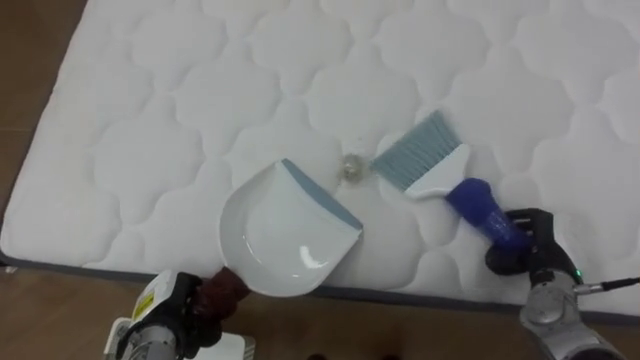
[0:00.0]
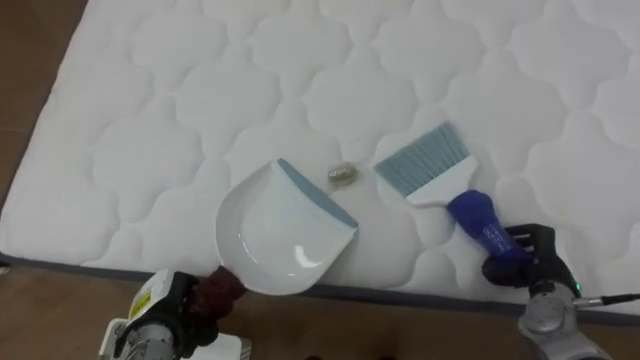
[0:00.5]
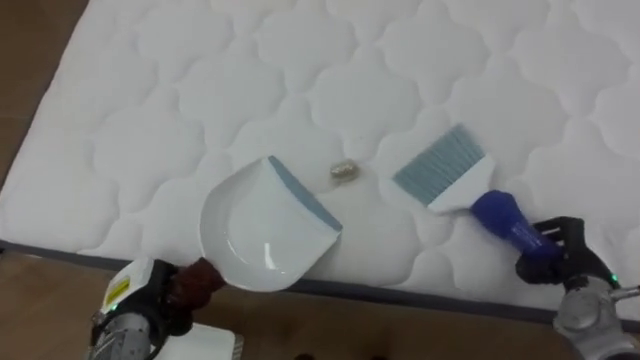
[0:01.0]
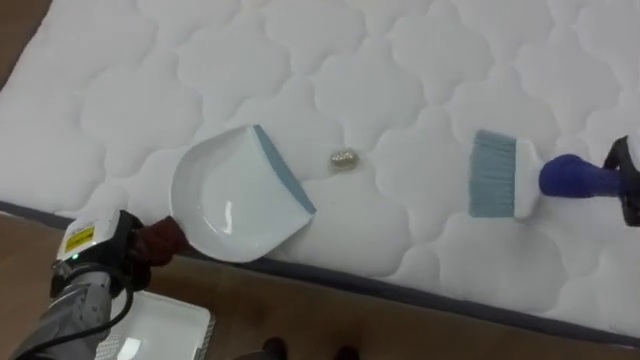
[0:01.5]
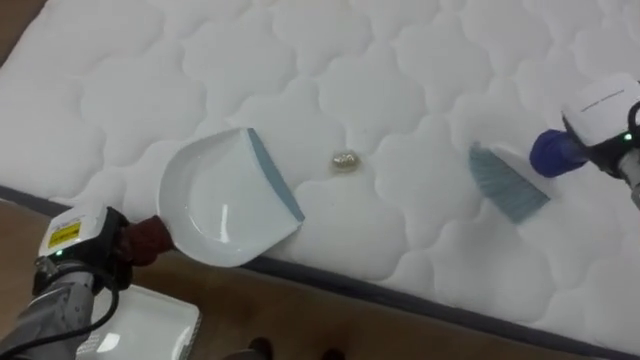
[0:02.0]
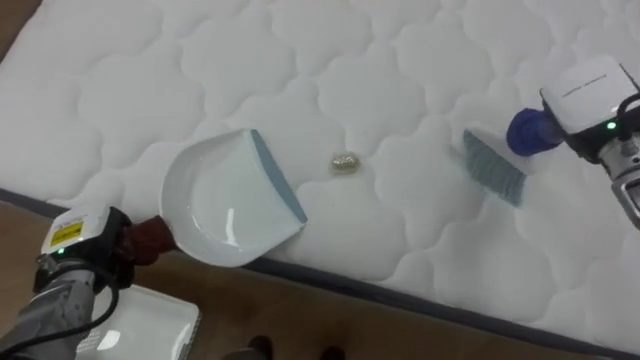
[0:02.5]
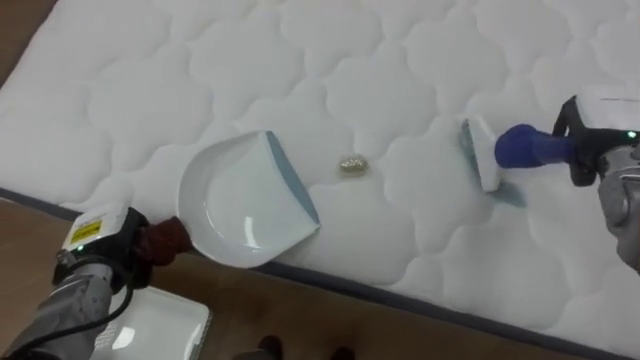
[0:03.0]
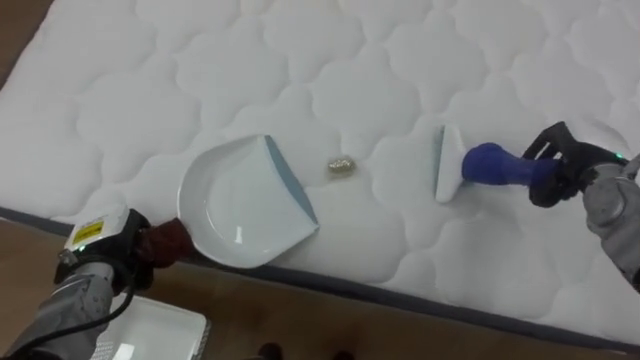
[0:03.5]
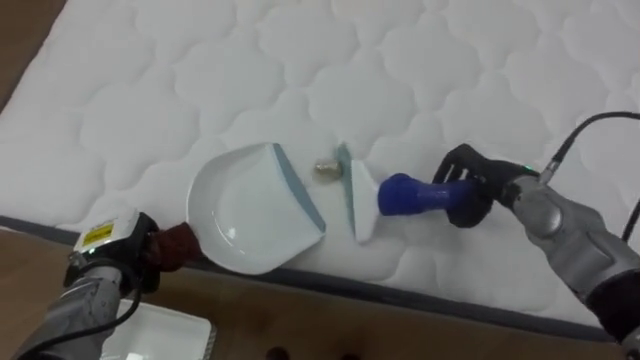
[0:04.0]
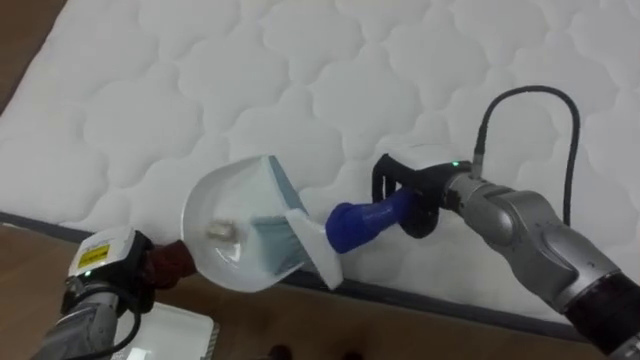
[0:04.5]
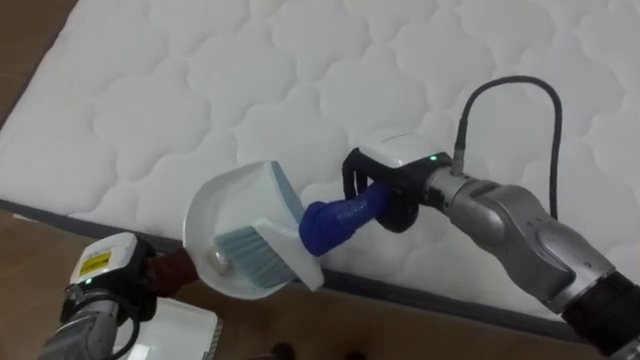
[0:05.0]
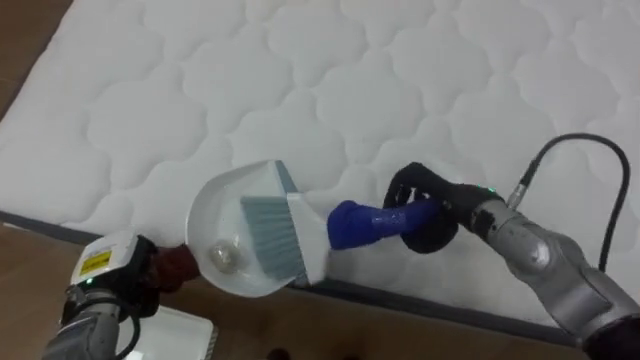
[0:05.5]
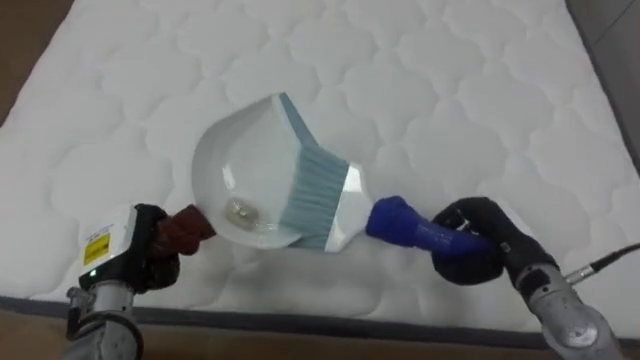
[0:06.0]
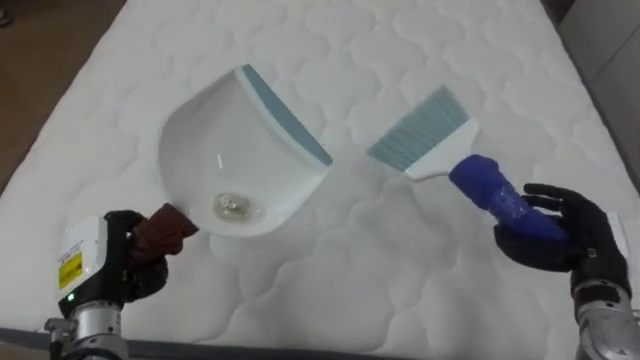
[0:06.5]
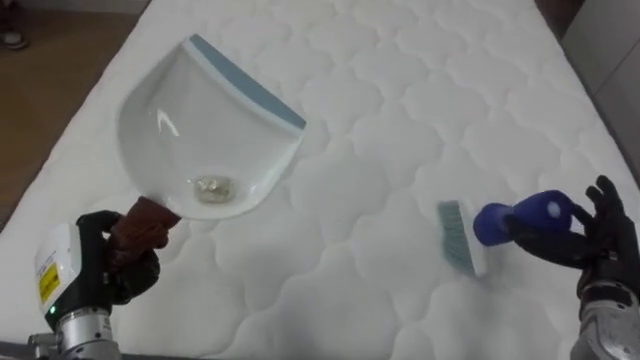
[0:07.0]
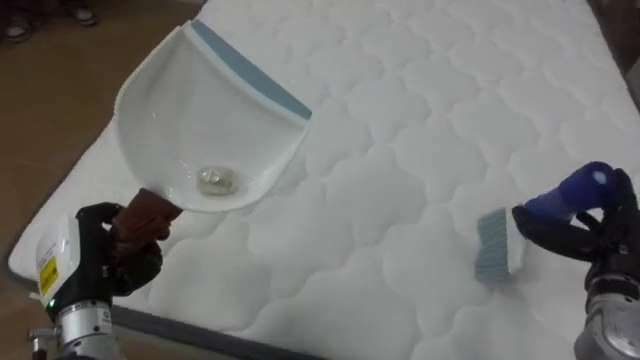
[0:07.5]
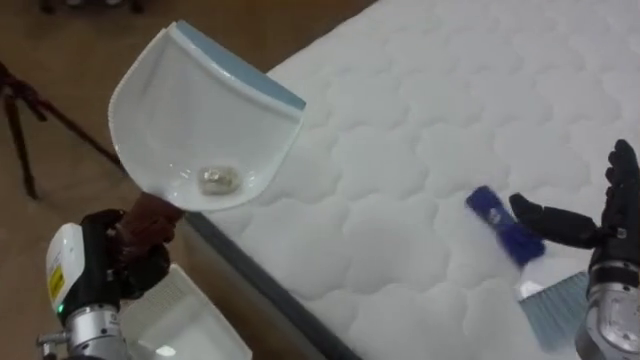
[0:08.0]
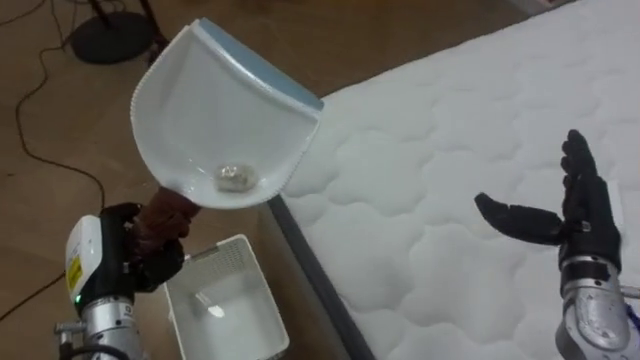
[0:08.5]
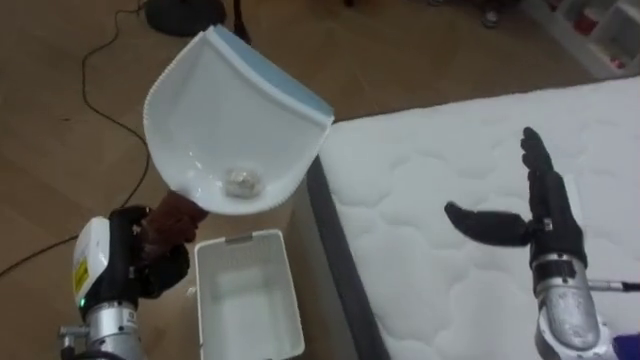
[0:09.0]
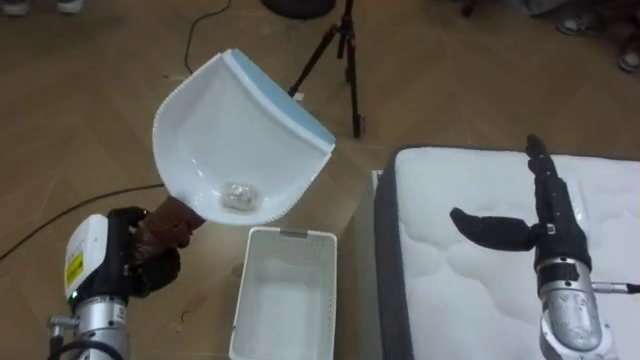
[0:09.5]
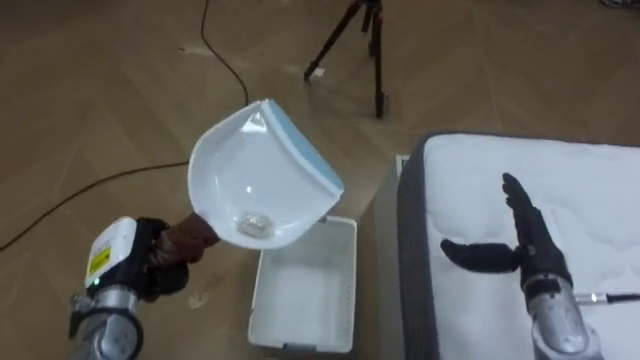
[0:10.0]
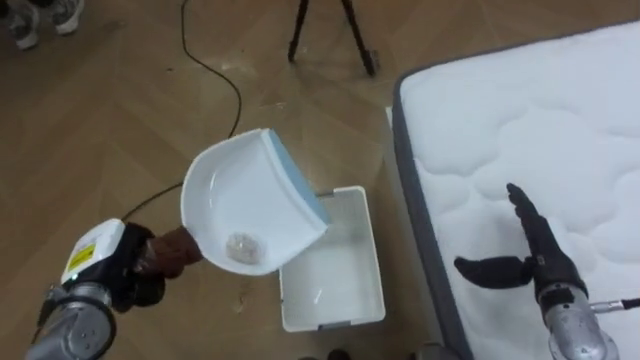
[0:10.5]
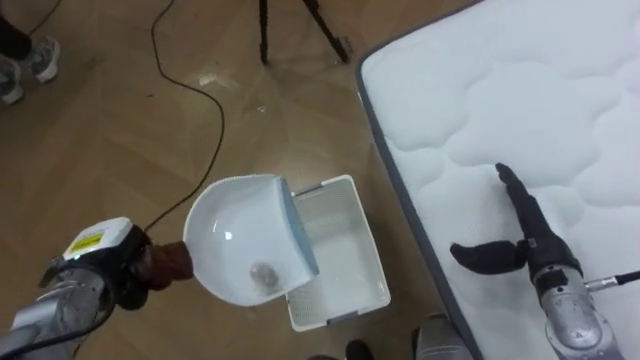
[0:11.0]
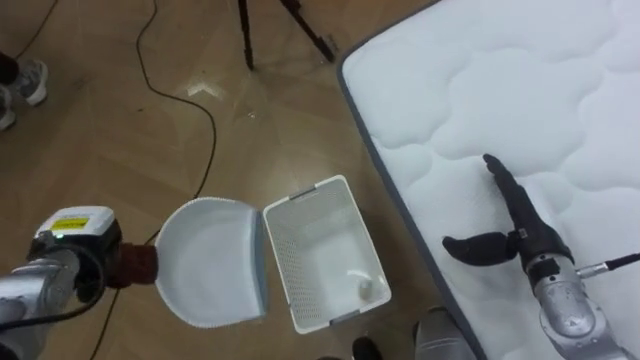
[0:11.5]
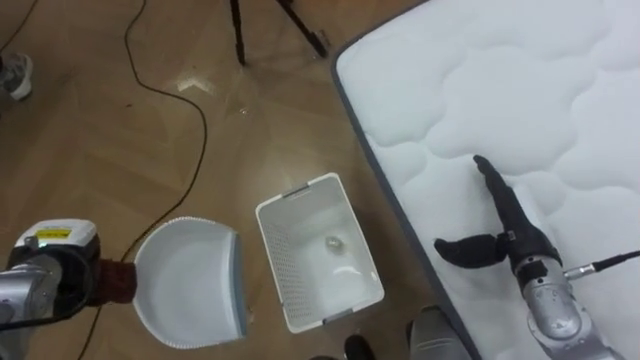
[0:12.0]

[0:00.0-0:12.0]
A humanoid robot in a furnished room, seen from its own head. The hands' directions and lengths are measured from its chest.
Task of the whole recording: Pick up the brush on your right and the dustpan on your left. Use the brush to sweep the crumpled paper on the bed into the dustpan, then turn left and empty it into the basket.
0:00.0 to 0:02.0: The left hand moves to the left, upward and forward, approximately 15 cm.
0:02.0 to 0:04.0: The right hand moves to the left and downward, some 15 cm.
0:04.0 to 0:06.0: The right hand goes about 10 cm backward, and moves roughly 15 cm to the left and comes back.
0:06.0 to 0:08.0: The robot turns to its left by roughly 40 degrees. The right hand travels to the right by some 10 cm, and opens up, while the left hand changes place by about 5 cm.
0:08.0 to 0:10.0: The robot faces some 50 degrees further to its left. The left hand ends up approximately 5 cm from where it was. The right hand goes roughly 10 cm to the left and downward.
0:10.0 to 0:12.0: The left hand travels to the left by roughly 10 cm.

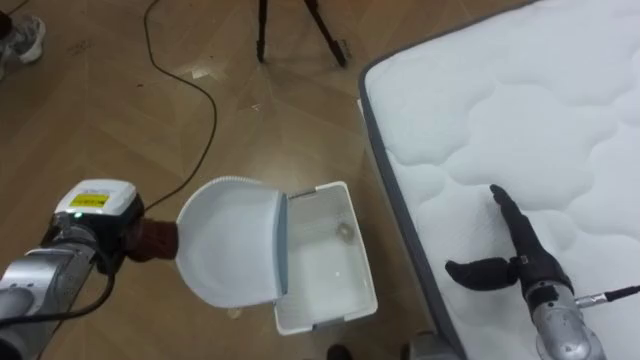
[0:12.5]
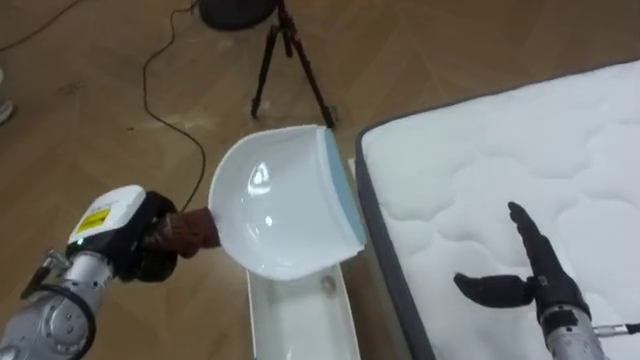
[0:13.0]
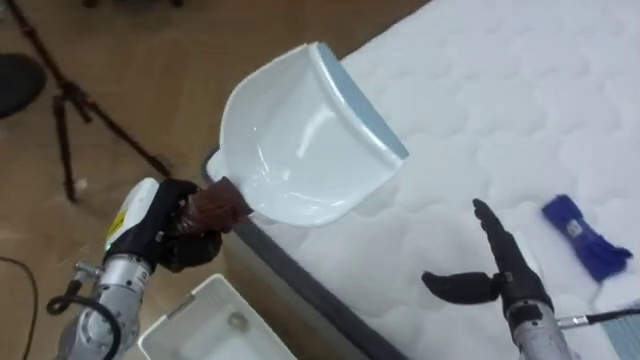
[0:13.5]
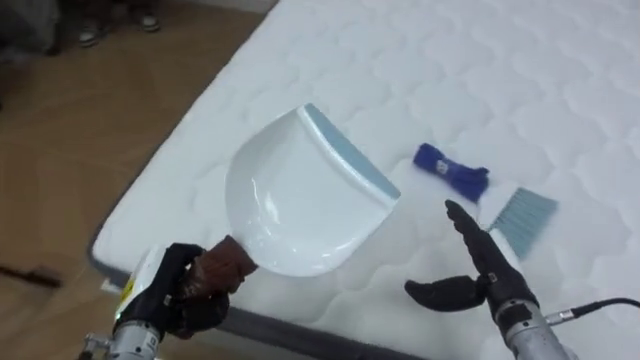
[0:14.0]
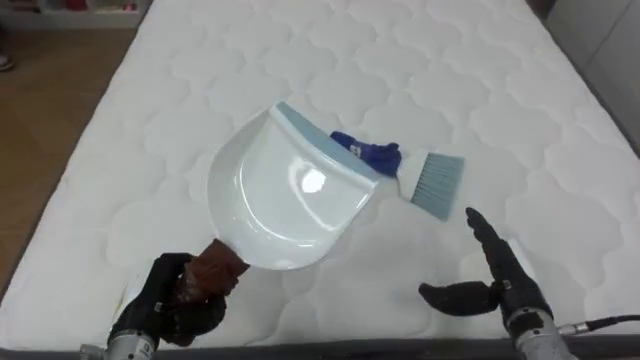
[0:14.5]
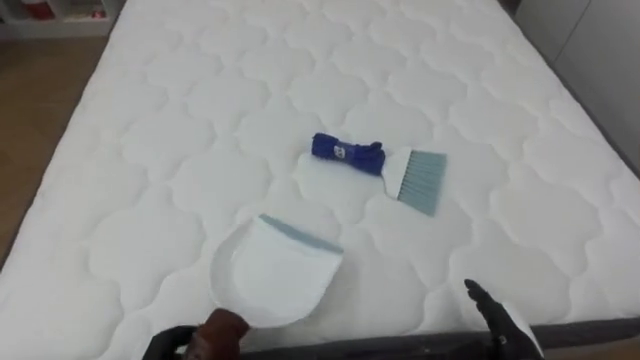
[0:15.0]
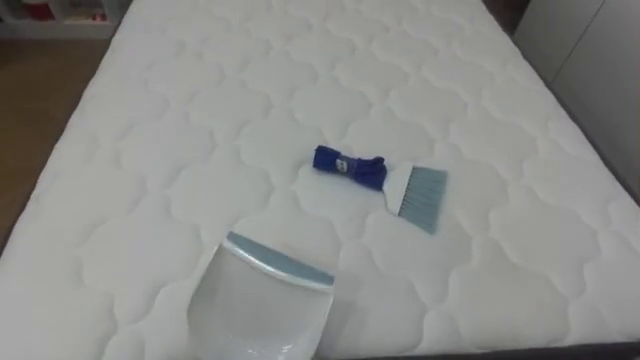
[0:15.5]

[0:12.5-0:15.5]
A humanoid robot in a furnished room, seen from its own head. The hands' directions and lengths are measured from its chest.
Task of the whole recording: Pick up the brush on your right and the dustpan on your left. Use the brush to sweep the crumpled paper on the bed into the dustpan, then turn left and empty it into the basket.
0:12.5 to 0:14.0: The robot faces roughly 75 degrees further to its right. The left hand goes approximately 10 cm backward and to the right, while the right hand ends up roughly 5 cm from where it was.
0:14.0 to 0:15.5: The robot rotates some 20 degrees to its right.

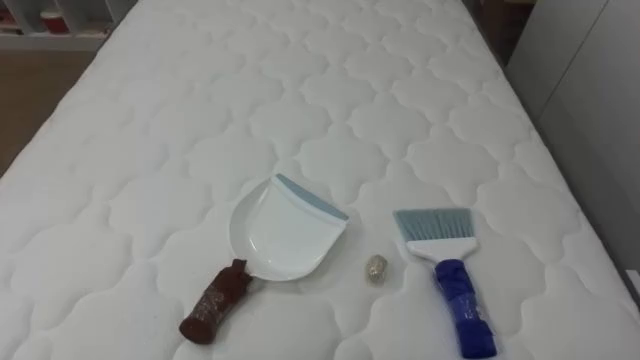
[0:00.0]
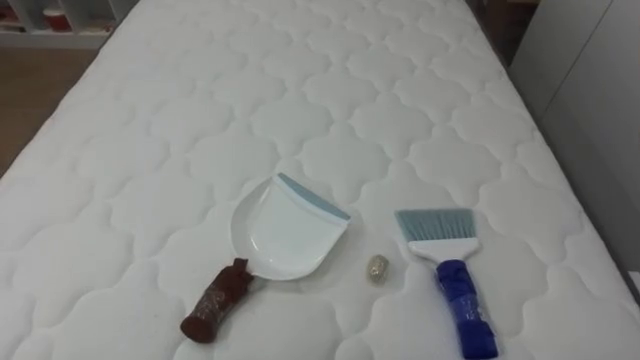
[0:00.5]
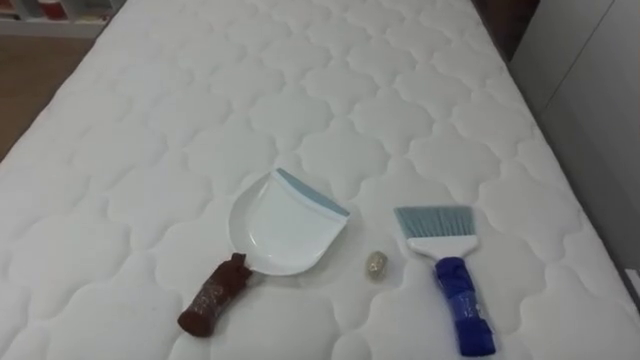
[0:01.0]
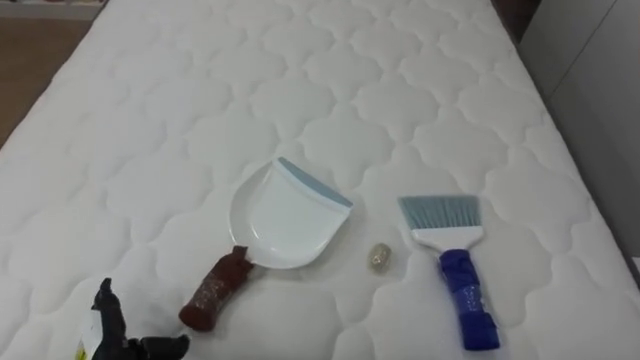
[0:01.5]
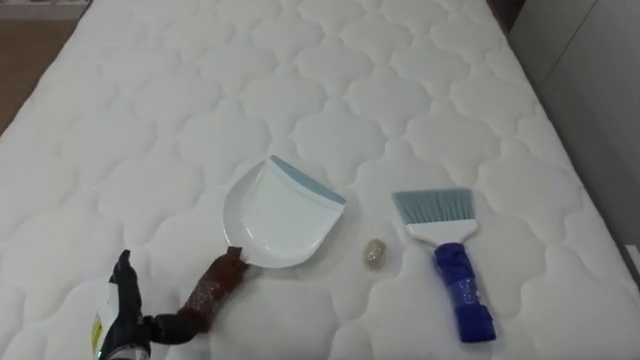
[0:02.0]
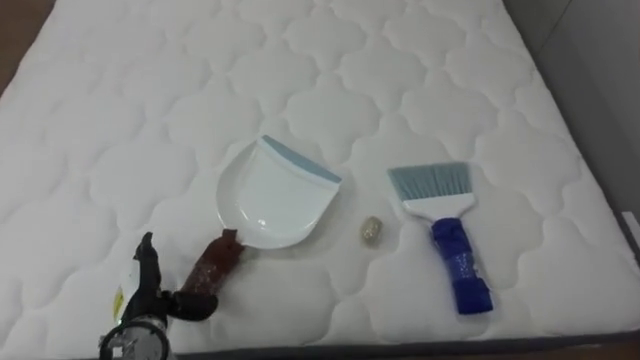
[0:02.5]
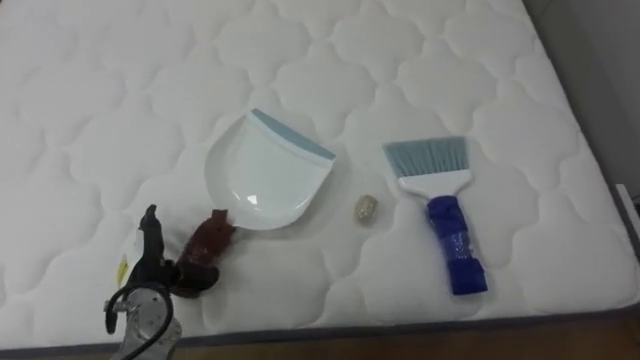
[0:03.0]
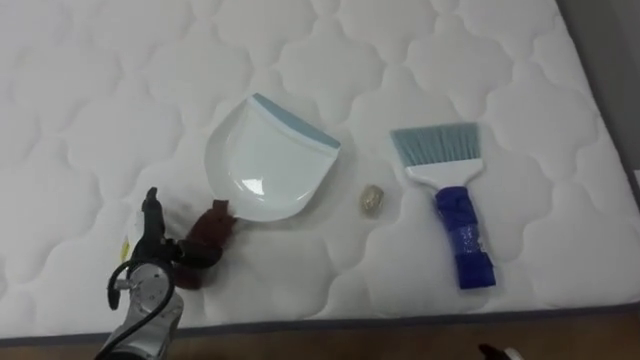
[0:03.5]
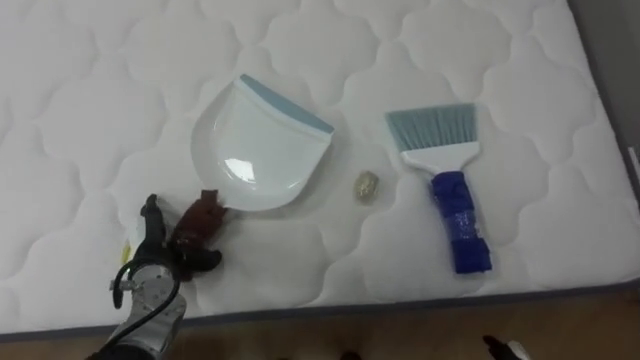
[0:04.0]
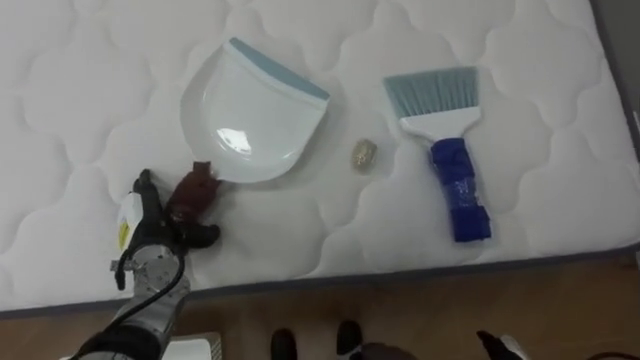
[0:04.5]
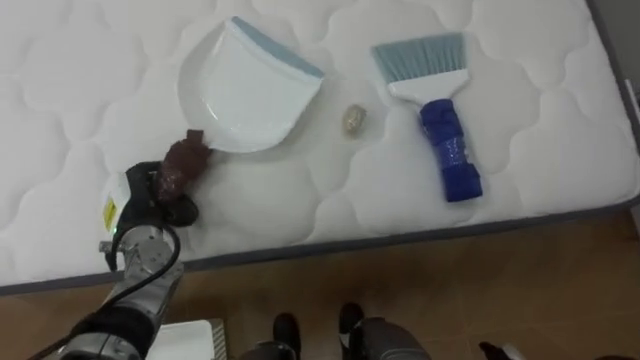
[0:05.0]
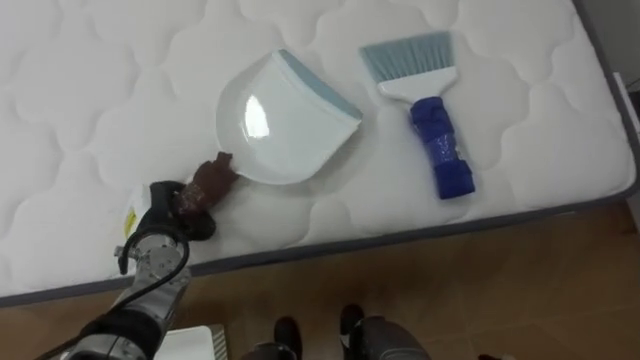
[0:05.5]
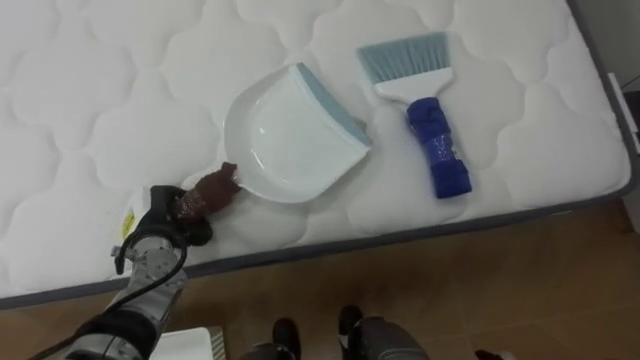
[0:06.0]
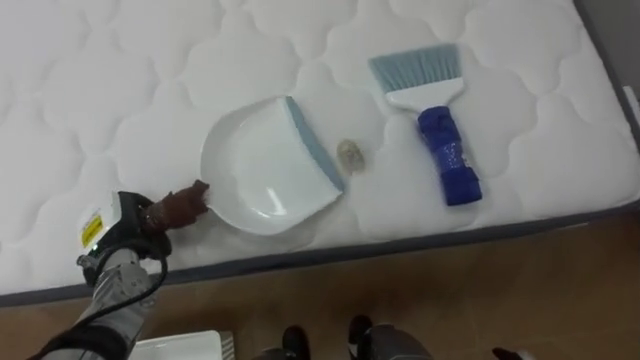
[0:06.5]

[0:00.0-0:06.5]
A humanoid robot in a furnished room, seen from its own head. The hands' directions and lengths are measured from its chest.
Task of the whole recording: Pick up the brush on your right and the dustpan on your left. Use the brush to sweep the crumpled paper on the bed into the dustpan, then turn left and empty it into the basket.
0:02.0 to 0:04.5: The left hand moves forward, roughly 10 cm.
0:04.5 to 0:06.5: The left hand closes its fingers.
